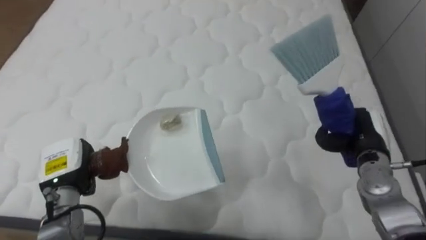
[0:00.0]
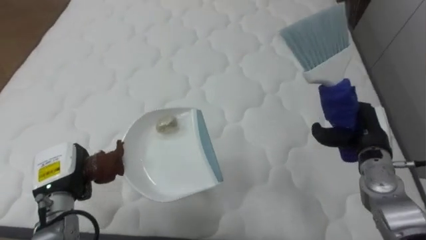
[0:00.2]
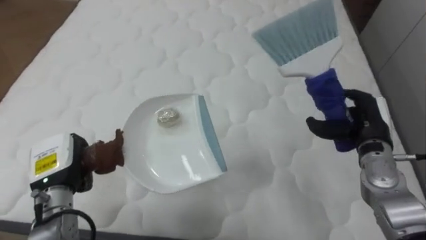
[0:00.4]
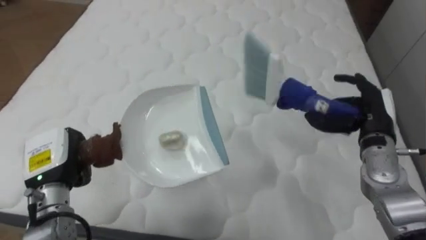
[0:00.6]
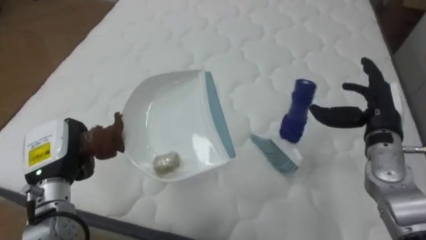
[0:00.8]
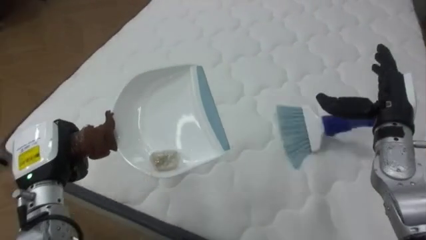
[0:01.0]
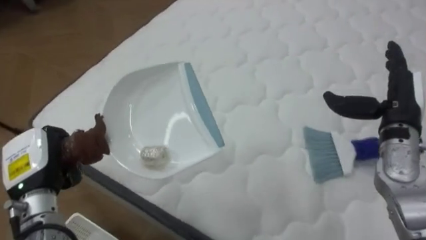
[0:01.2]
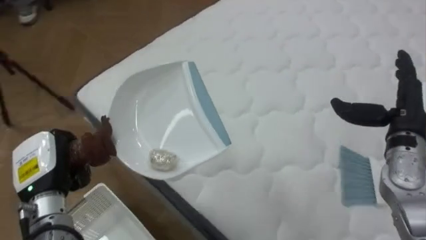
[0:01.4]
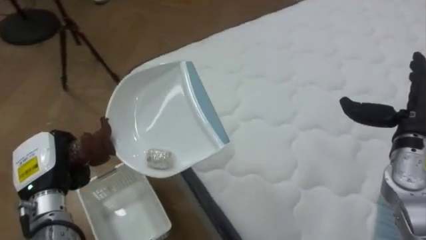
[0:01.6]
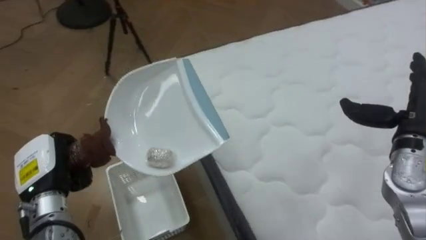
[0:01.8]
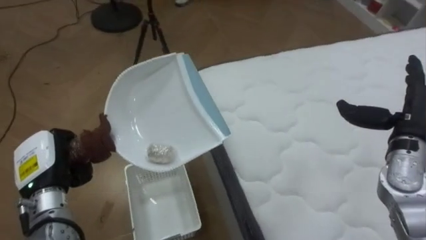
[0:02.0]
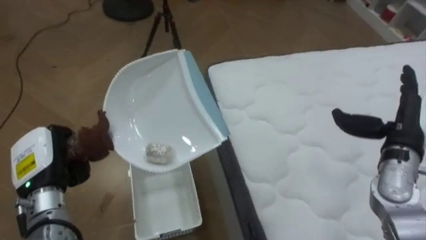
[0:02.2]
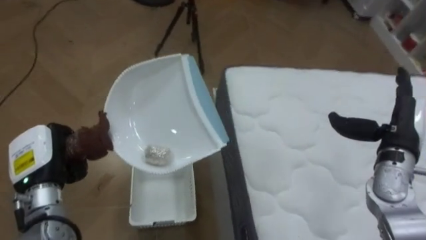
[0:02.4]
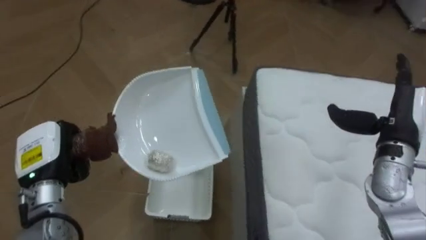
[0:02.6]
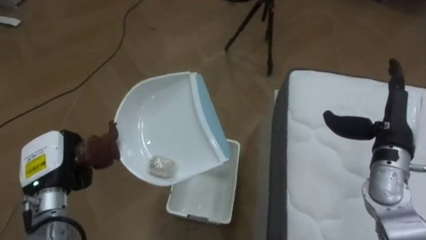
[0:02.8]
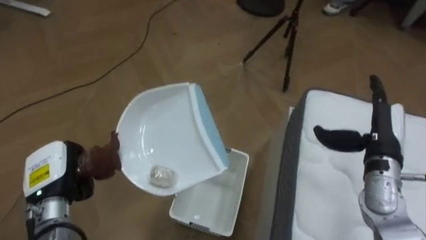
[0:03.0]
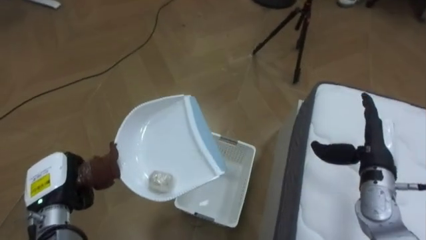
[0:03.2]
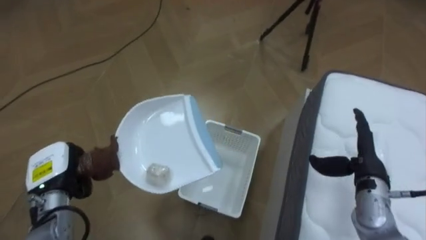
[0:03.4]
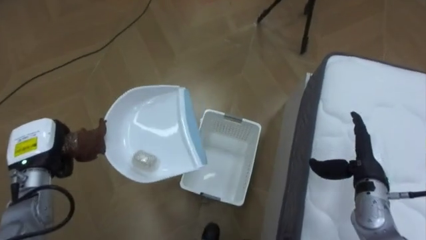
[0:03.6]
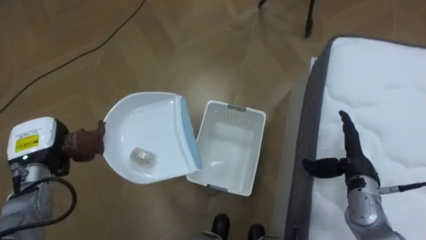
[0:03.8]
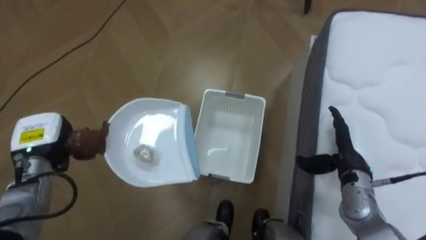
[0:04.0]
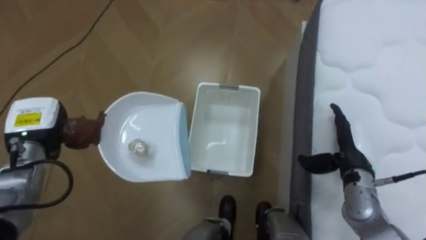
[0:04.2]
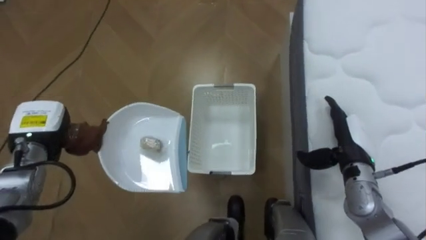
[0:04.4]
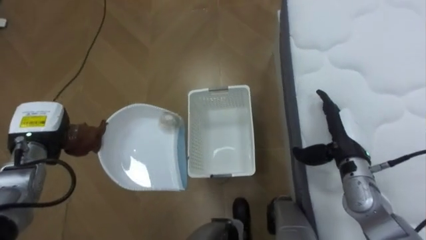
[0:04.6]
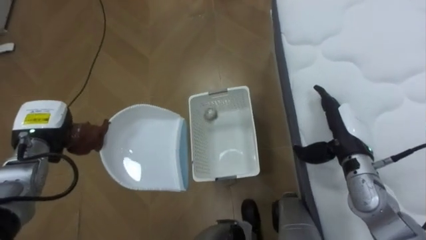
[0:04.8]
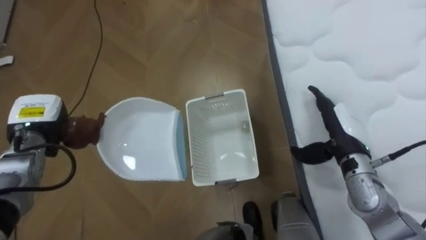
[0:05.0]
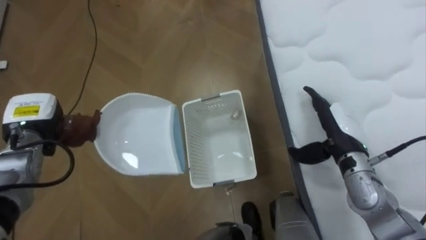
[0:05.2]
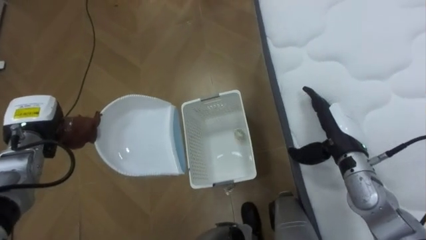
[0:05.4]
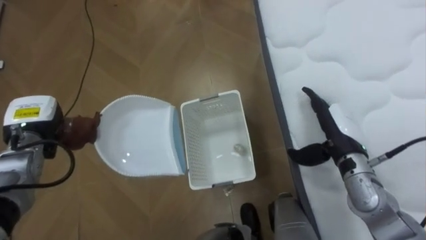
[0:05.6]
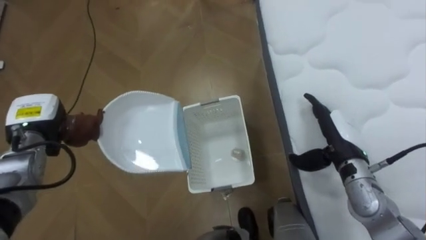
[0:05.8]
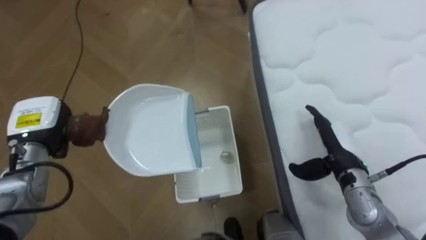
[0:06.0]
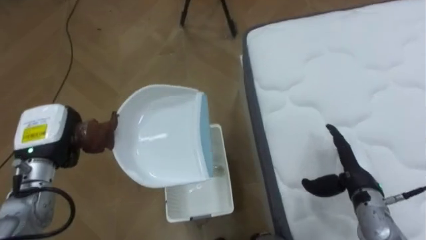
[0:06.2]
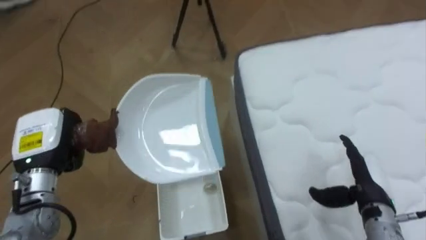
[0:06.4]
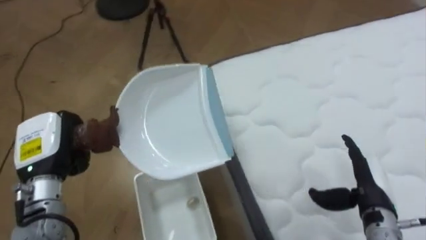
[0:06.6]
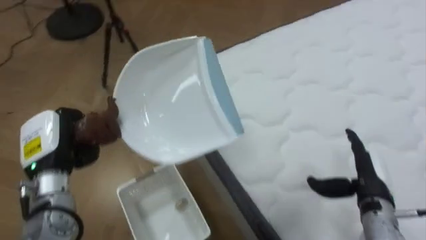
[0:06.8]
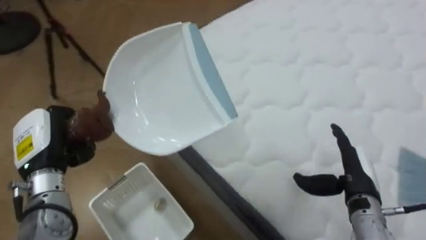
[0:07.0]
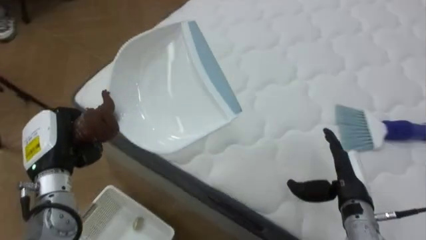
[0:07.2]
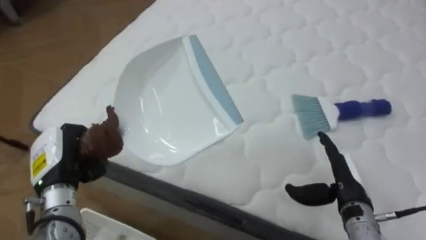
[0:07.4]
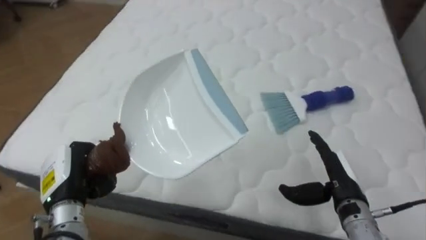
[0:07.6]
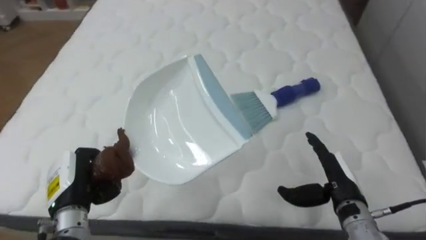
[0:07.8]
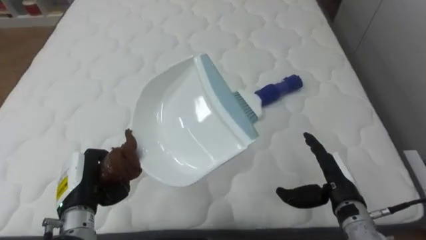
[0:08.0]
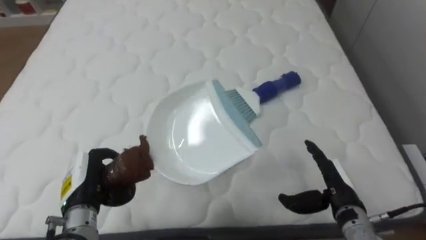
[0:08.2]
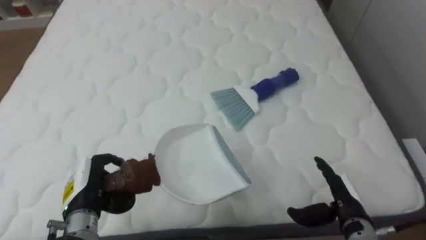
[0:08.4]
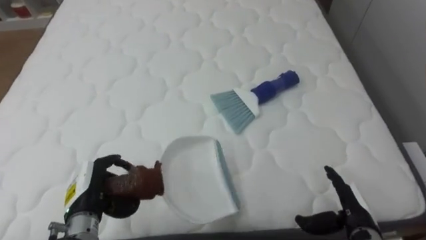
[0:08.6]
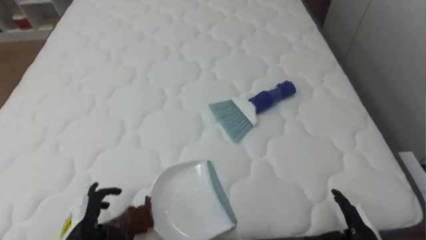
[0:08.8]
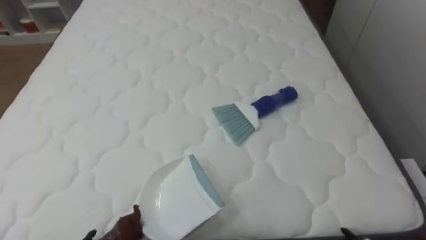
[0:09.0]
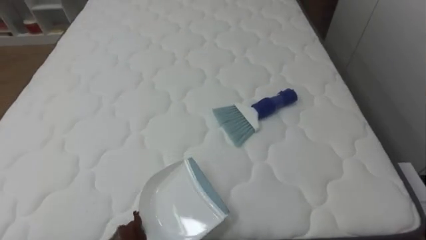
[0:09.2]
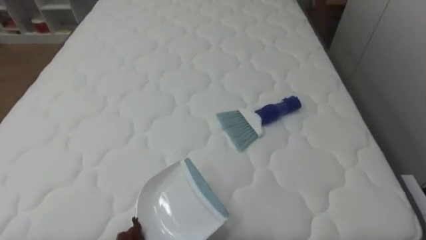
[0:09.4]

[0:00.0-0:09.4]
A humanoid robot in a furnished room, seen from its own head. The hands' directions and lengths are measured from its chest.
Task of the whole recording: Pick up the brush on your right and the dustpan on your left. Use the brush to sweep the crumpled paper on the bed into the dustpan, then turn left and empty it into the basket.
0:00.0 to 0:01.6: The robot's body swings about 50 degrees to its left. The right hand heads upward, covering about 10 cm, and opens its fingers. The left hand shifts by roughly 5 cm.
0:01.6 to 0:03.2: The robot faces some 50 degrees further to its left. The hands both shift downward by roughly 5 cm.
0:03.2 to 0:04.8: The right hand changes place by some 5 cm. Meanwhile the left hand goes about 10 cm forward.
0:04.8 to 0:06.2: The right hand moves roughly 5 cm.
0:06.2 to 0:07.8: The robot's body swings some 90 degrees to its right. The left hand moves backward, some 10 cm.

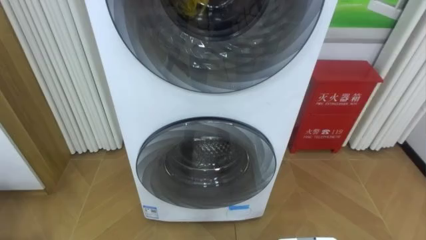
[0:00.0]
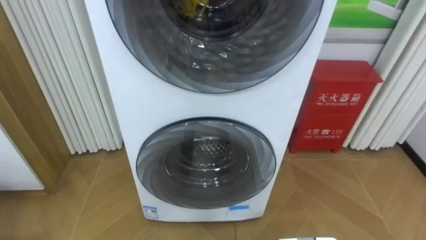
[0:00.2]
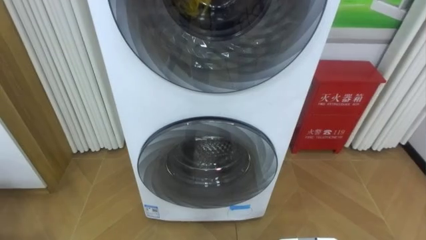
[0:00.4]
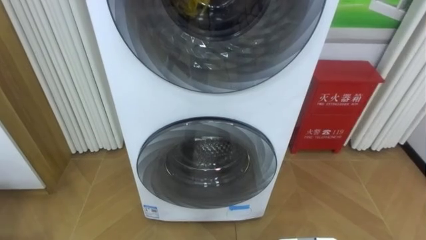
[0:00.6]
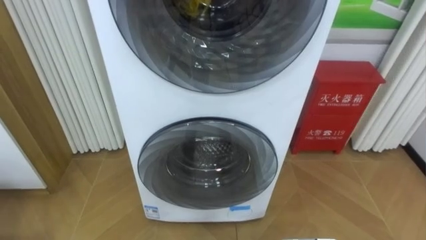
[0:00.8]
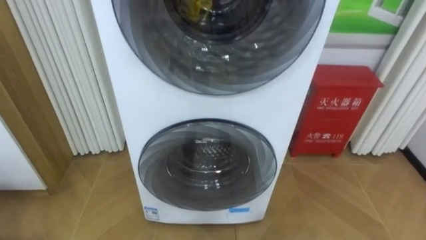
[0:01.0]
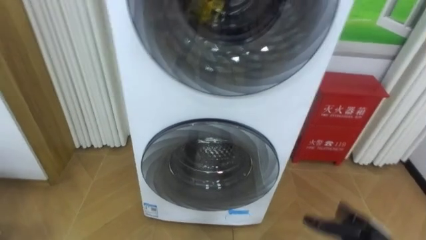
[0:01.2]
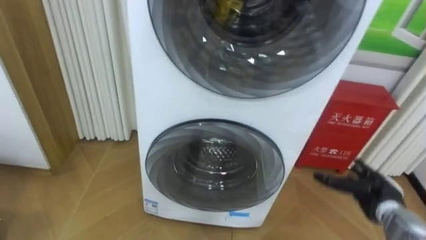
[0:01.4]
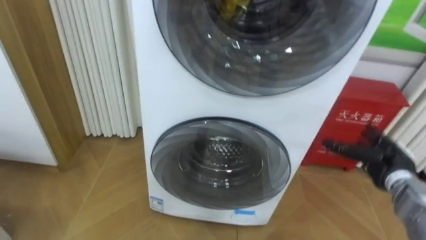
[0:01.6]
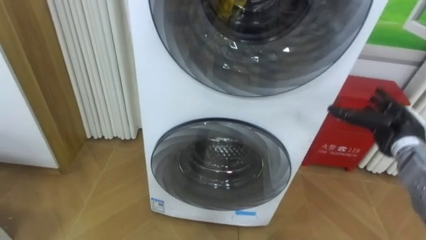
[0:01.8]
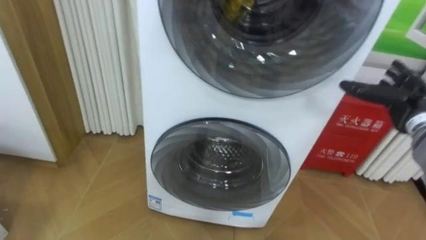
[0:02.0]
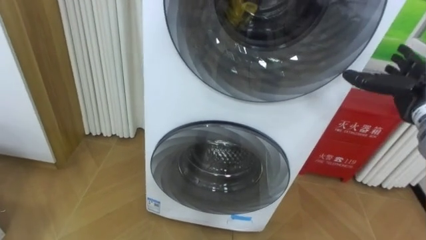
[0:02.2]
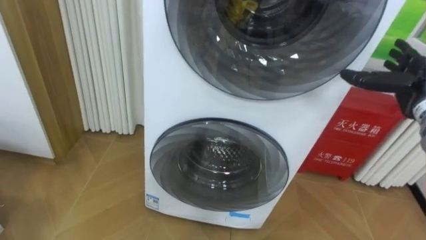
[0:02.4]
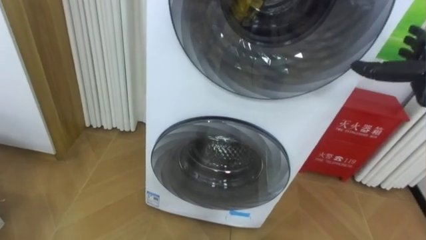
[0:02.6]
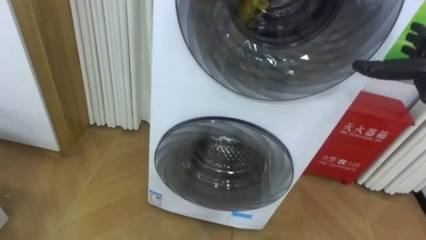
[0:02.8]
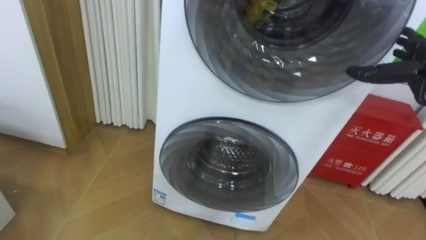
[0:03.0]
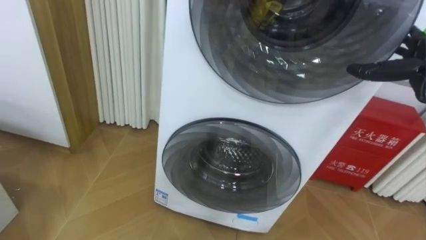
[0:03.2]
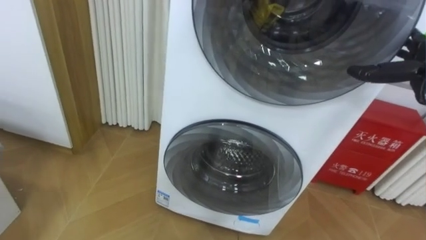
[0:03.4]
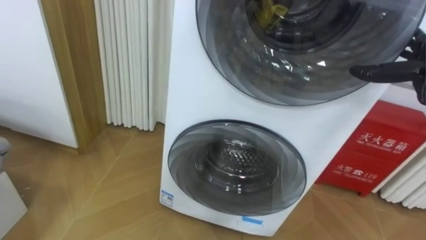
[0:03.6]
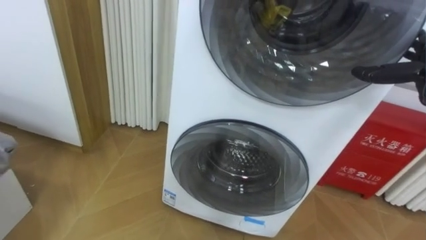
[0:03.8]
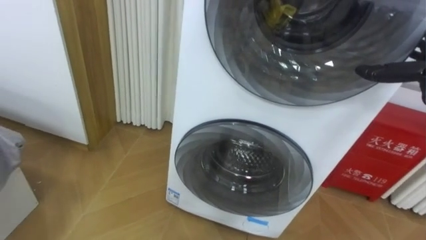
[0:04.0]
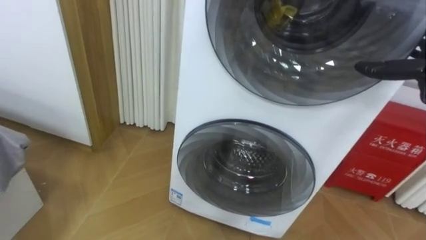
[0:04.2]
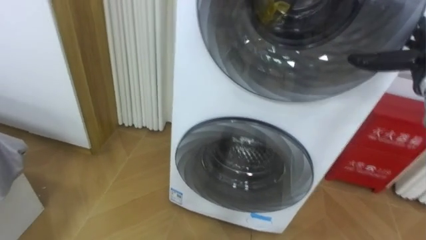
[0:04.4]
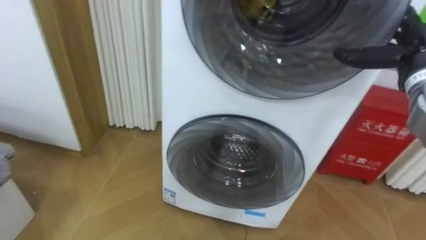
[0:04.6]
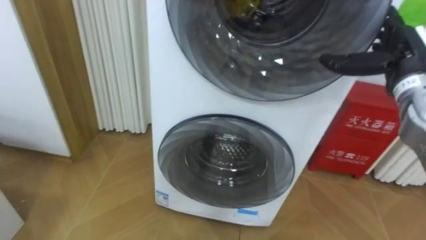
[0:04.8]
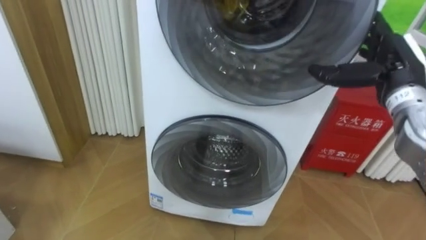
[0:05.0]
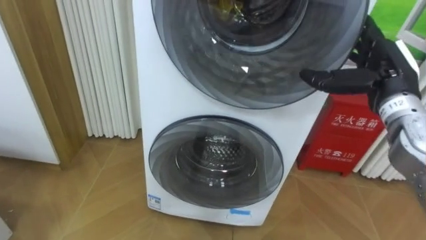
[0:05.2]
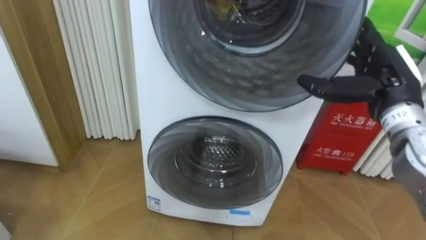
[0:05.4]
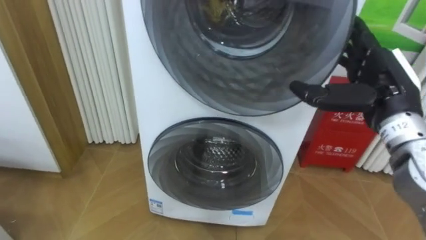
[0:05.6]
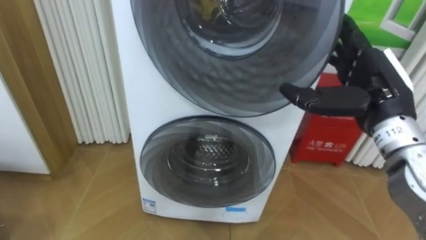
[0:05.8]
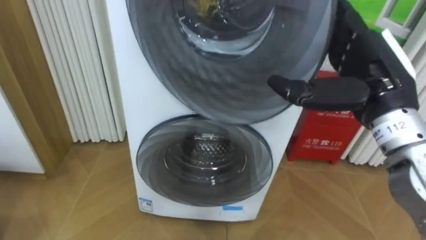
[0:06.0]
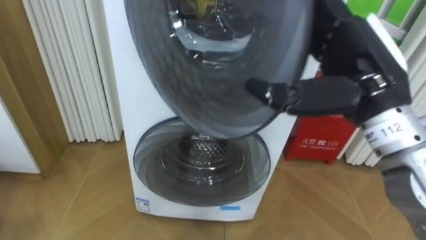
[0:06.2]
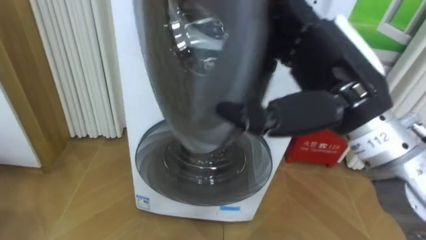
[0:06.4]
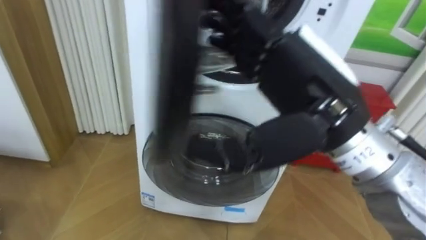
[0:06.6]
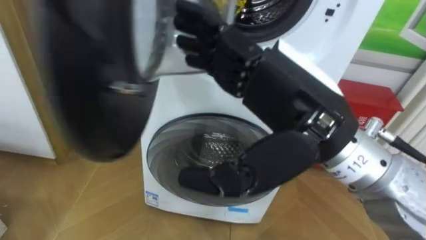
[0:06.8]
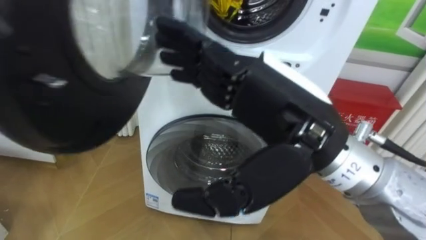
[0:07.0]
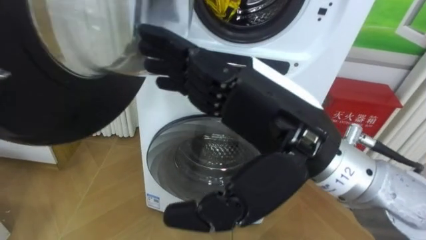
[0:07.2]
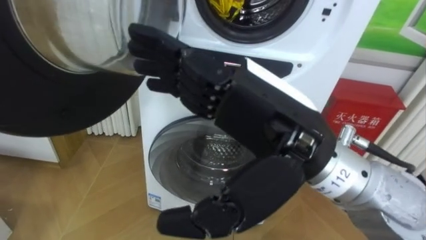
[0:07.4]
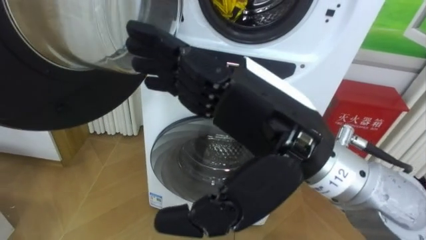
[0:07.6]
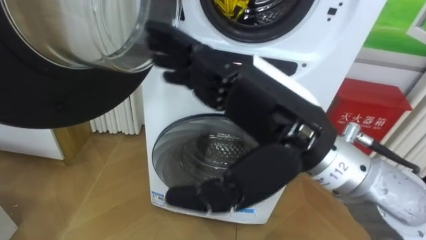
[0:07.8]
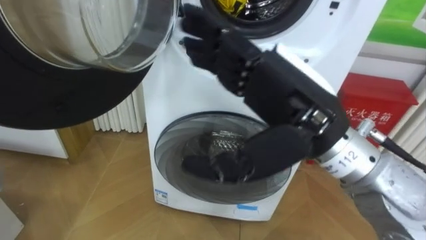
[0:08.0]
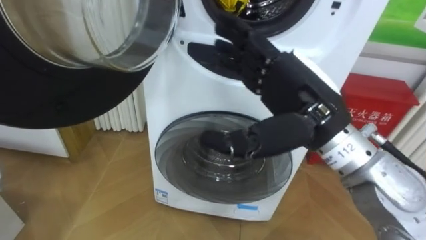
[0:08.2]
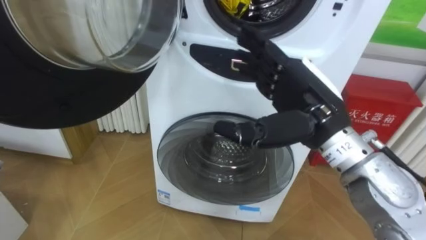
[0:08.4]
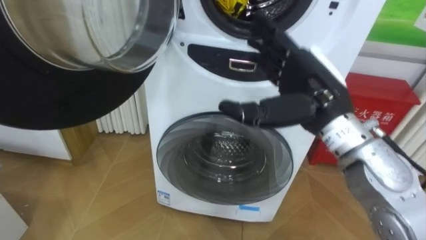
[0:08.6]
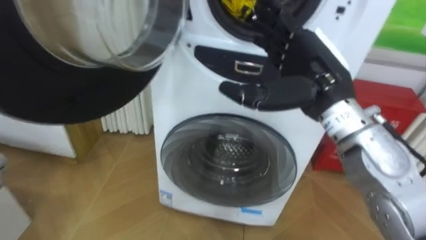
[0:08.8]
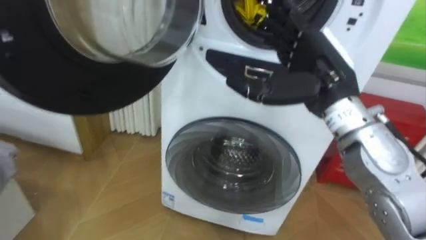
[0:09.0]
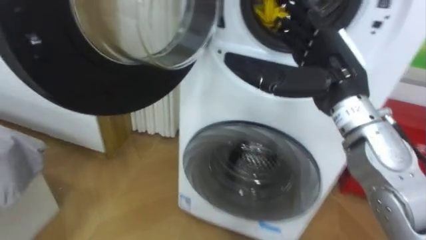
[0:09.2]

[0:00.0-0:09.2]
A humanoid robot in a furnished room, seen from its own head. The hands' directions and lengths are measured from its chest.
Task of the whole recording: Open the washing machine door, take out the yellow clothes, place them in the box on the right, and close the washing machine door.
0:04.6 to 0:06.2: The right hand goes some 20 cm to the left and backward.
0:06.2 to 0:07.6: The right hand shifts about 15 cm to the left and backward.
0:07.6 to 0:09.2: The right hand goes some 20 cm forward and to the right.
